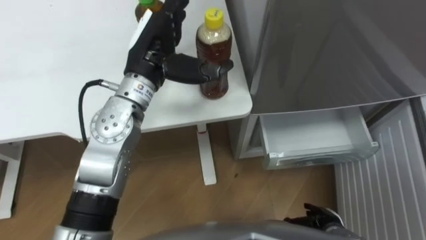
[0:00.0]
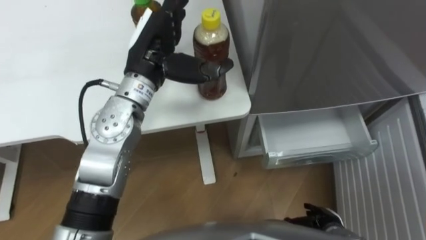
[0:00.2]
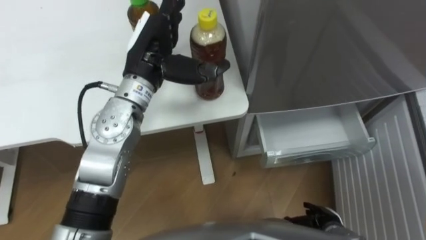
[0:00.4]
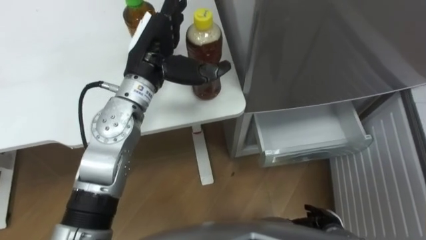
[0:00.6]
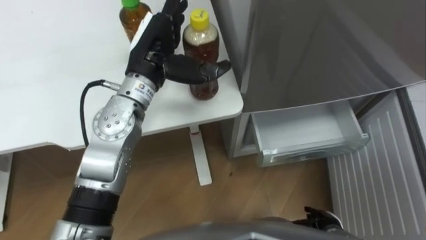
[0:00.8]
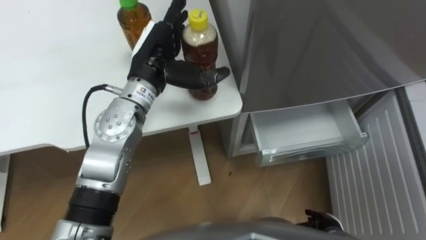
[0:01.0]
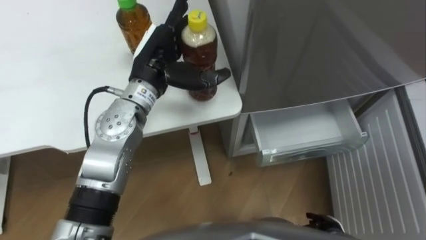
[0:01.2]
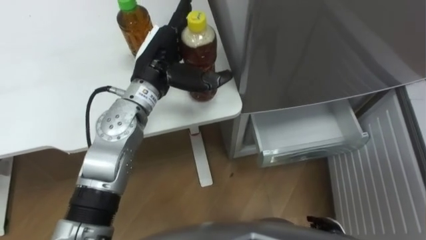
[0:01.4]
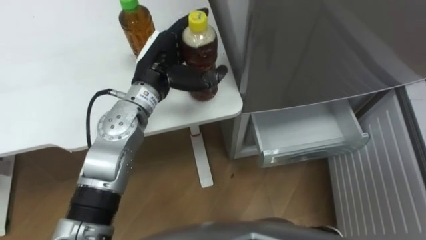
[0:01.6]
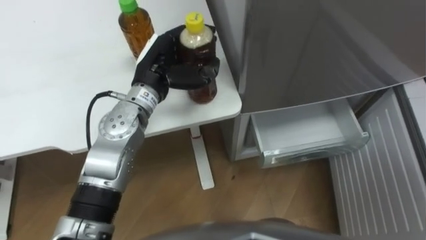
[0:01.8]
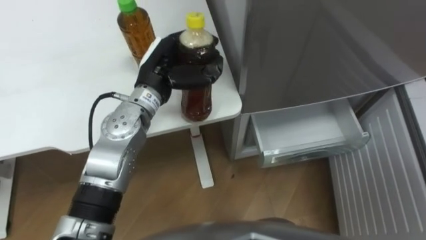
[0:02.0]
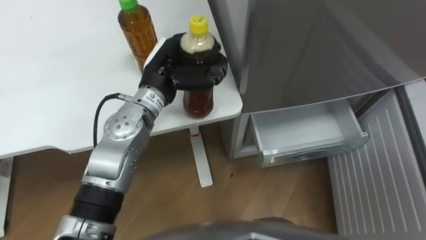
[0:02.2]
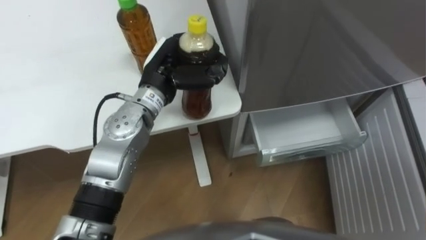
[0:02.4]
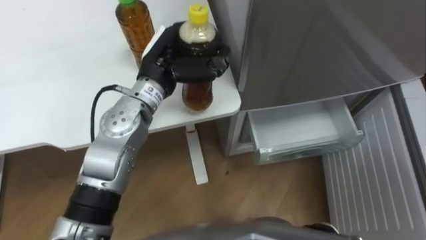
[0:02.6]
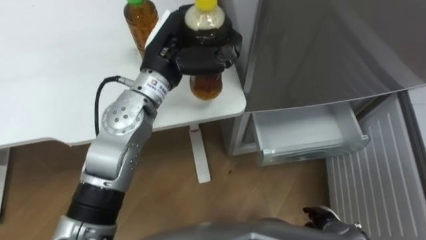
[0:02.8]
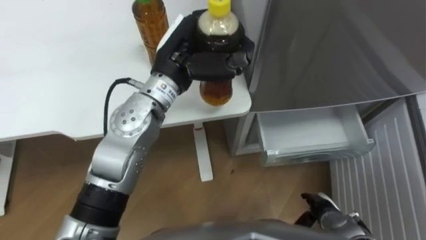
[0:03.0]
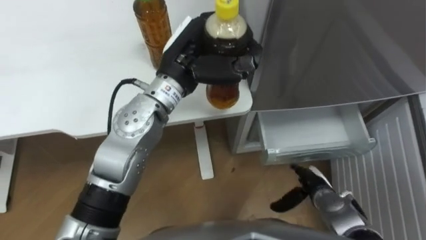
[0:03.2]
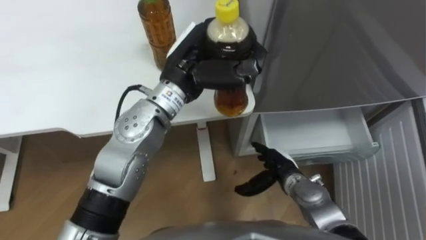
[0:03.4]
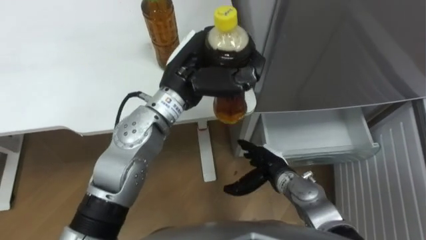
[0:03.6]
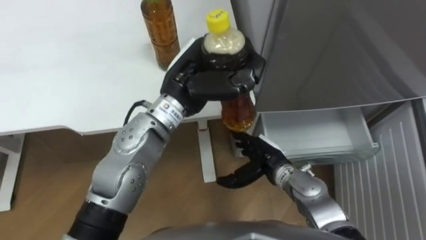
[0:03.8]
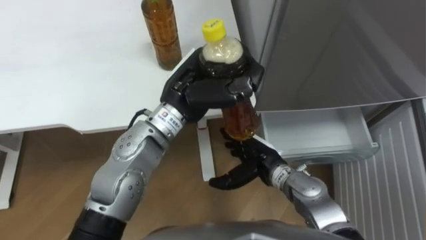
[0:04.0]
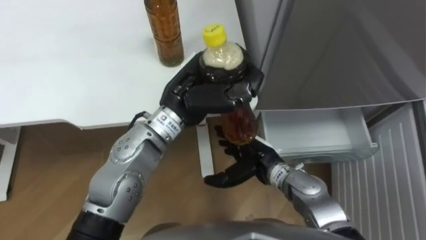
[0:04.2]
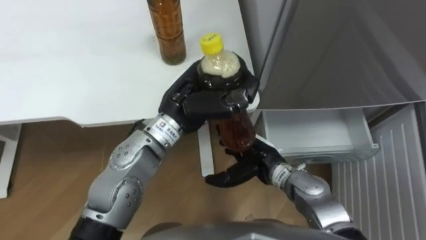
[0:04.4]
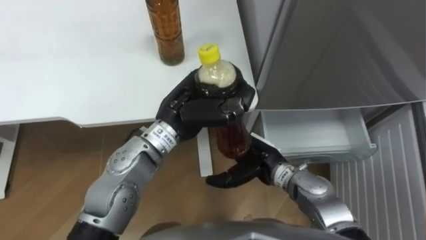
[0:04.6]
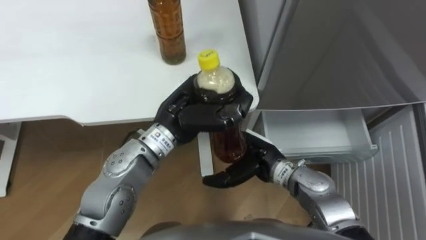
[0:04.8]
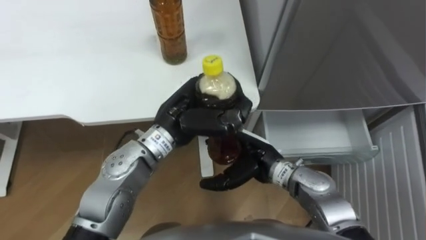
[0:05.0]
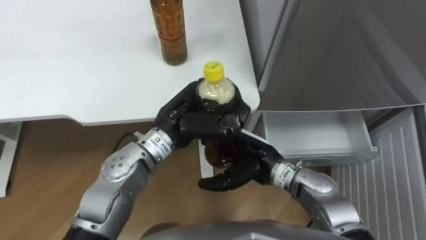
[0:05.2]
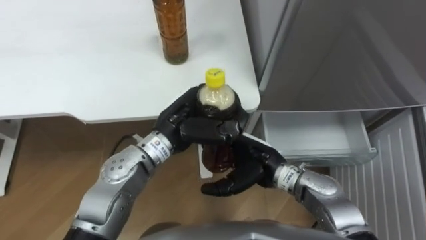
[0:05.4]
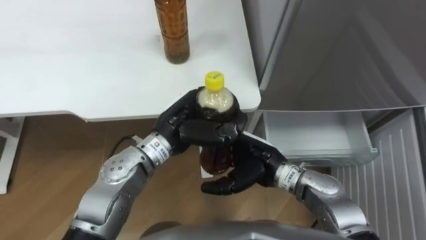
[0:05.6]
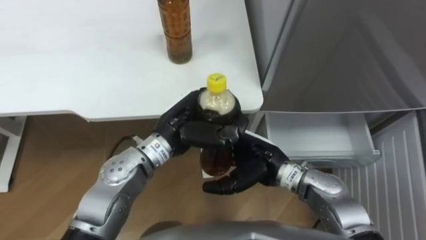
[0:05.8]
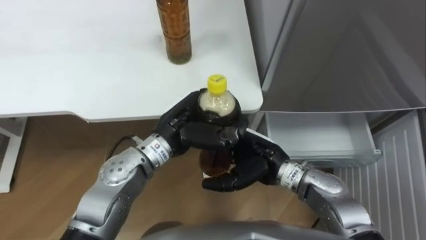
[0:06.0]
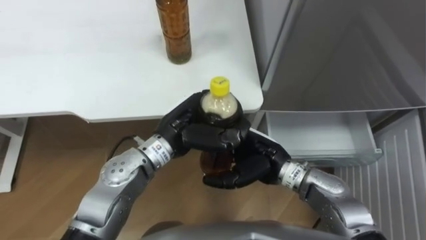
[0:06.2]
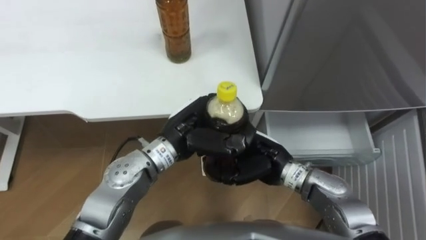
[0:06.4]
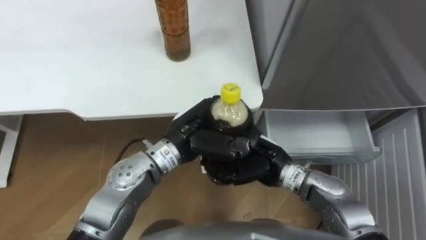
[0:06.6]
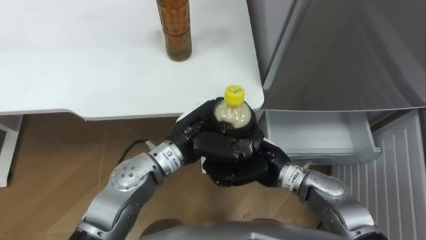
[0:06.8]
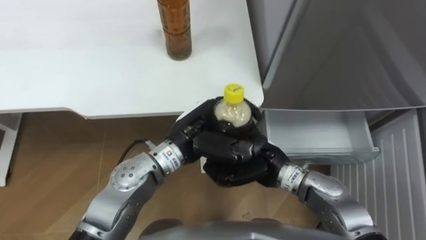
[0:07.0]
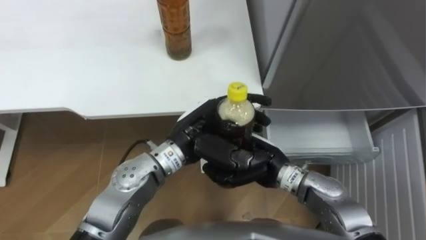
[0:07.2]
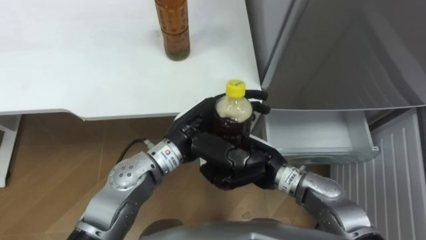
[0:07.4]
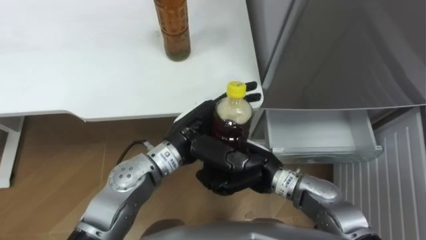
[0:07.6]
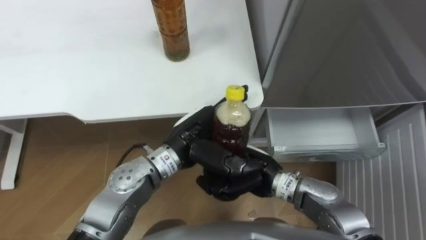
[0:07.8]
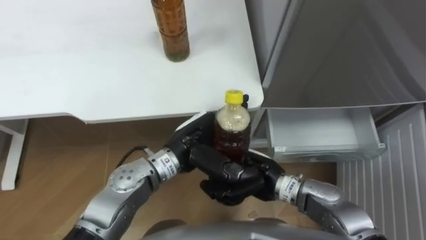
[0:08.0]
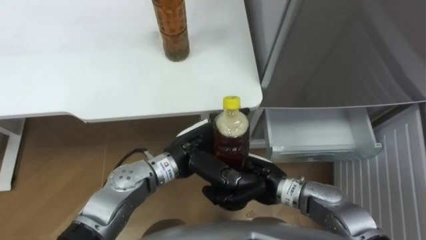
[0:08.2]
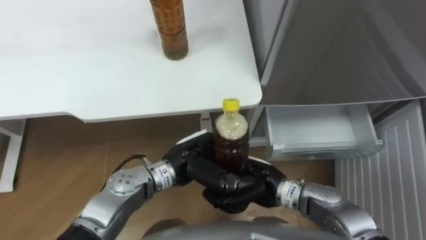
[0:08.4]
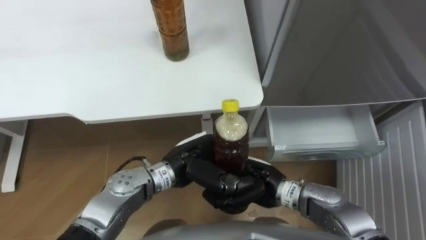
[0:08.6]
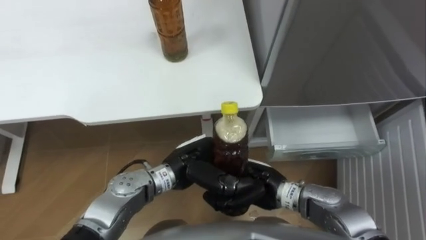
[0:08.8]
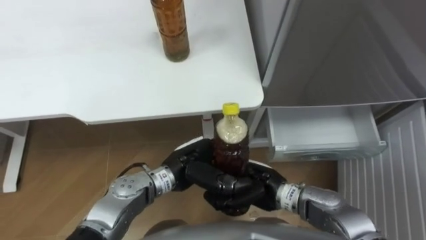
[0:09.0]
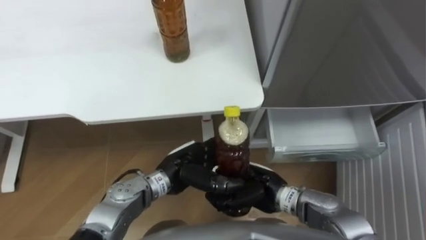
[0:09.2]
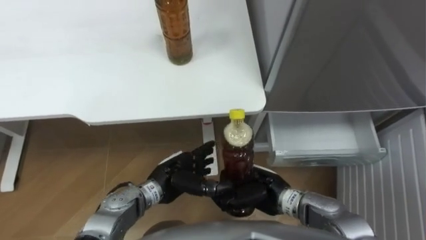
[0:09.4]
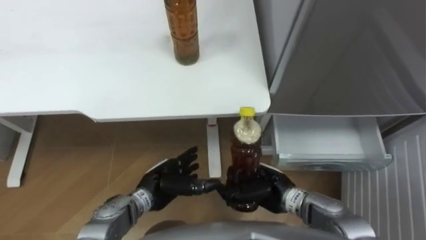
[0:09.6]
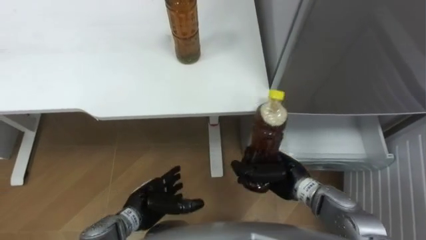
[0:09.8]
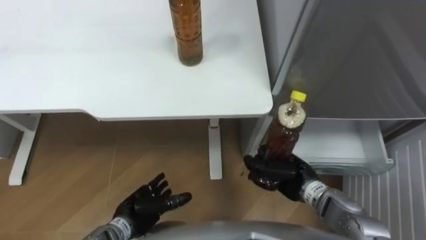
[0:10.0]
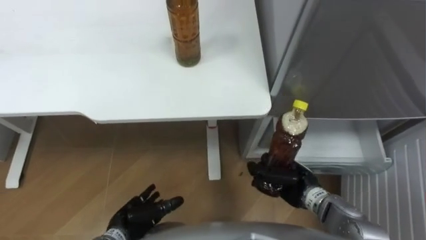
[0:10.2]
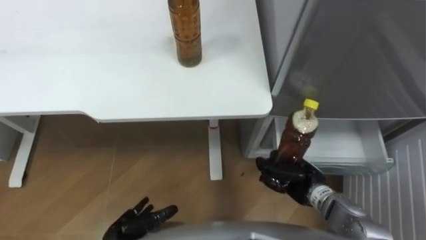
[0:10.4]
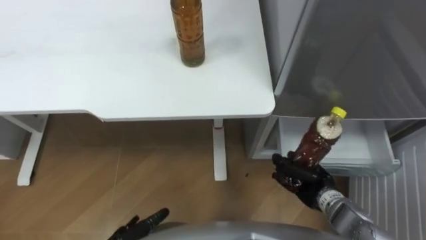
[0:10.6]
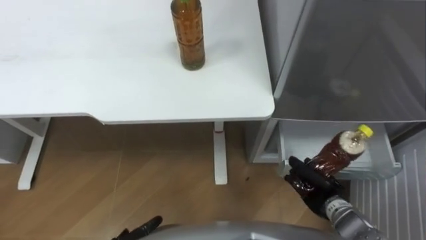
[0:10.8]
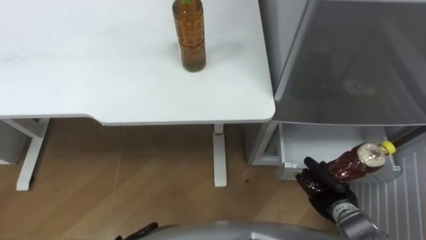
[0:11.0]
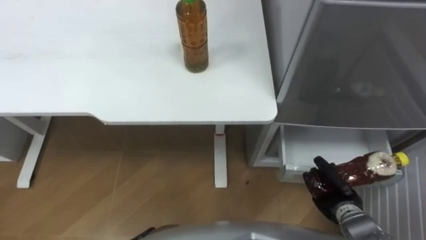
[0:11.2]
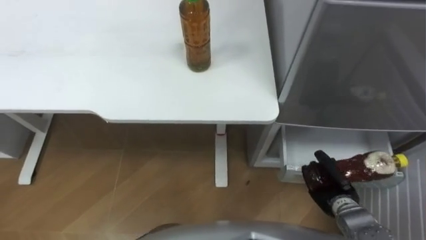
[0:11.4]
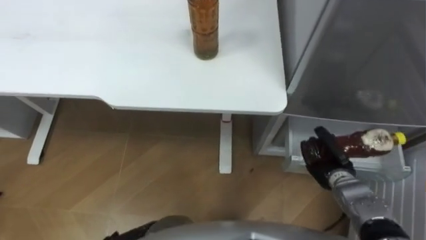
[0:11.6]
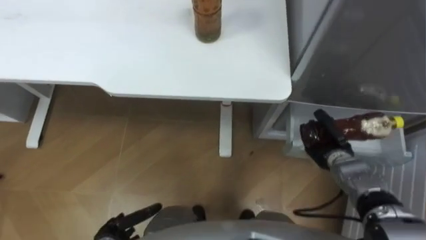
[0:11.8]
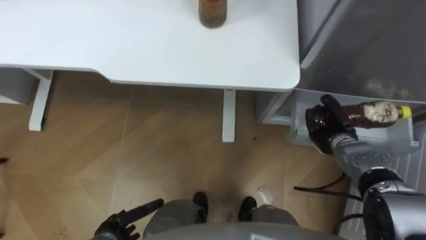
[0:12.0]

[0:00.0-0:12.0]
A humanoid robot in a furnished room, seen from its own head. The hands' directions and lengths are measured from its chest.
Task of the whole recording: Place the drink on the table on the bottom shelf of the refrigerator, then close the drawer and the refrigerator door.
0:01.6 to 0:03.0: The left hand shifts by approximately 5 cm, and closes its fingers.
0:03.0 to 0:04.4: The right hand is displaced to the left, upward and forward by roughly 20 cm. The left hand moves backward, approximately 5 cm.
0:04.4 to 0:06.0: The left hand shifts about 5 cm downward.
0:06.0 to 0:07.6: The left hand opens its fingers, while the right hand closes its fingers.
0:07.6 to 0:09.0: The left hand travels downward by about 10 cm.
0:09.0 to 0:10.4: The right hand is displaced to the right and downward by about 10 cm; the left hand moves to the left, downward and backward, roughly 20 cm.
0:10.4 to 0:12.0: The right hand travels forward and to the right by some 15 cm.

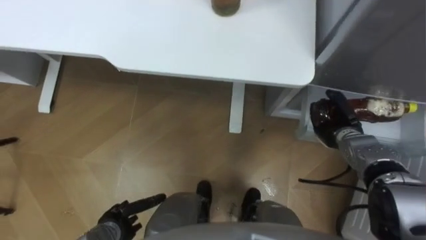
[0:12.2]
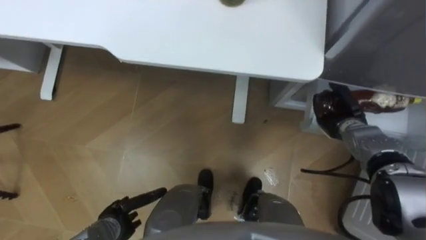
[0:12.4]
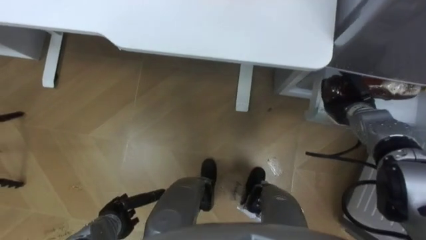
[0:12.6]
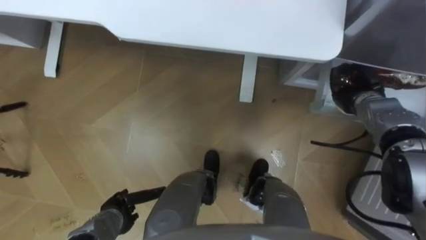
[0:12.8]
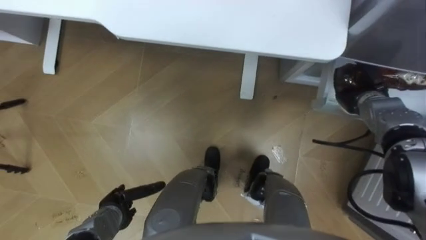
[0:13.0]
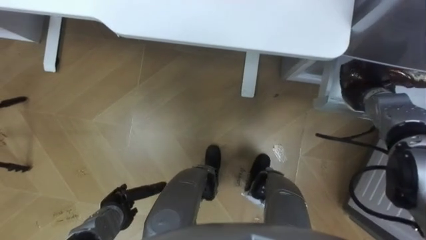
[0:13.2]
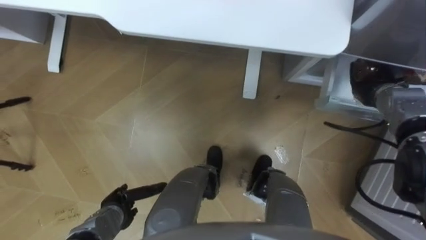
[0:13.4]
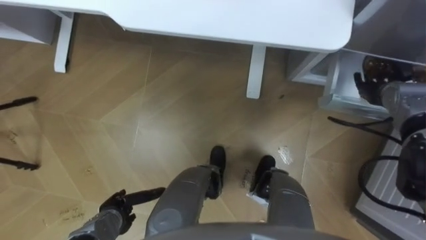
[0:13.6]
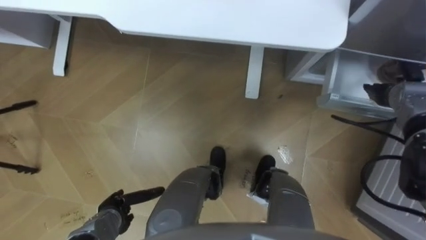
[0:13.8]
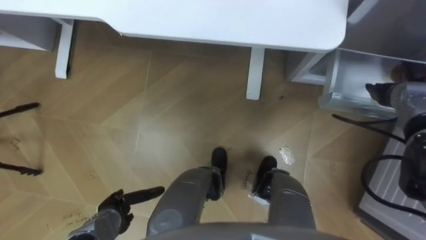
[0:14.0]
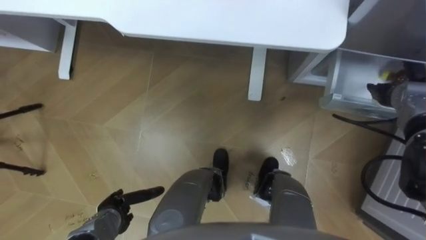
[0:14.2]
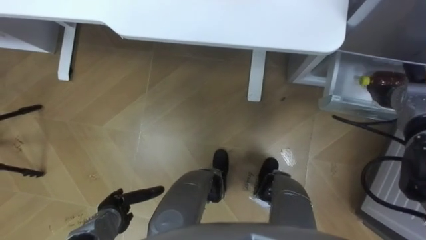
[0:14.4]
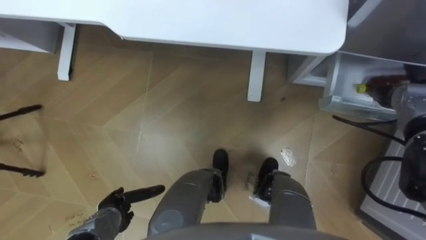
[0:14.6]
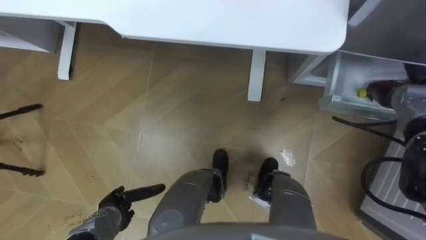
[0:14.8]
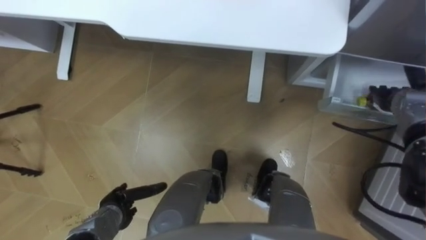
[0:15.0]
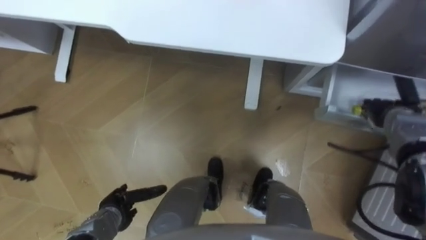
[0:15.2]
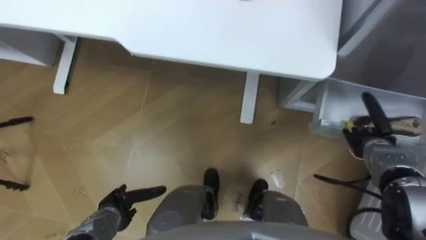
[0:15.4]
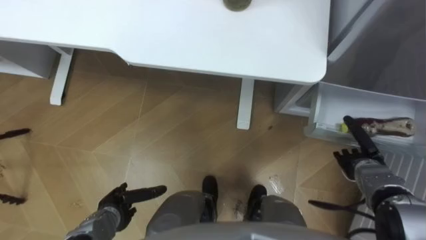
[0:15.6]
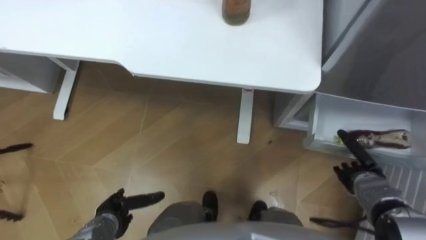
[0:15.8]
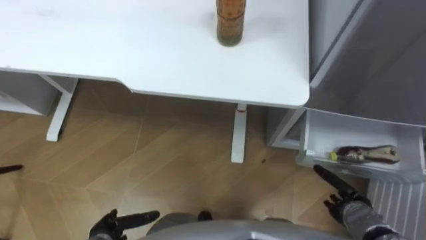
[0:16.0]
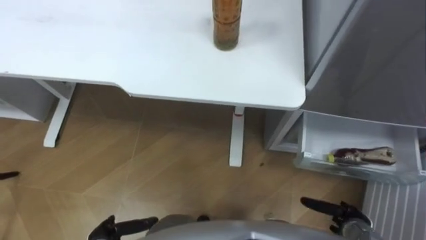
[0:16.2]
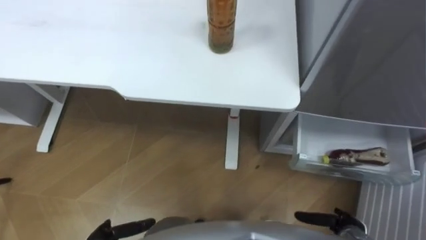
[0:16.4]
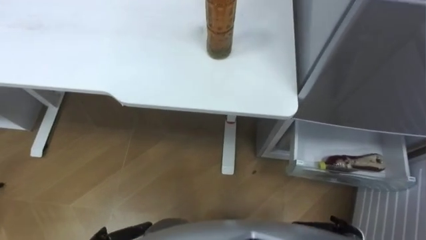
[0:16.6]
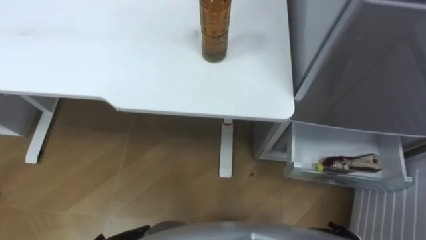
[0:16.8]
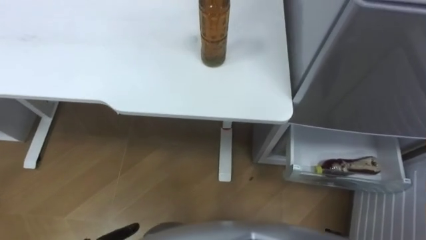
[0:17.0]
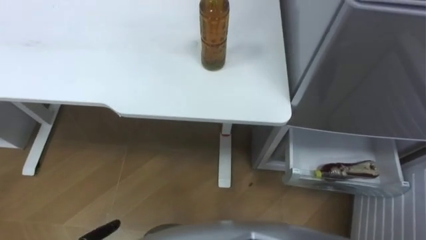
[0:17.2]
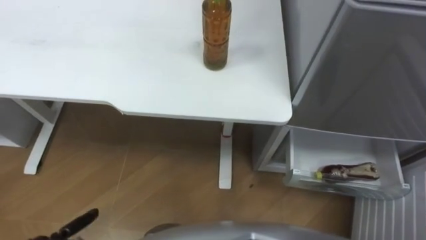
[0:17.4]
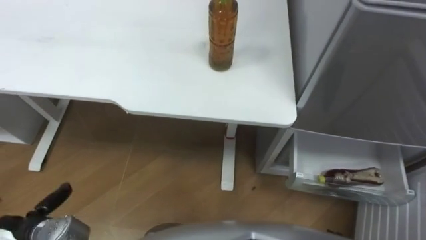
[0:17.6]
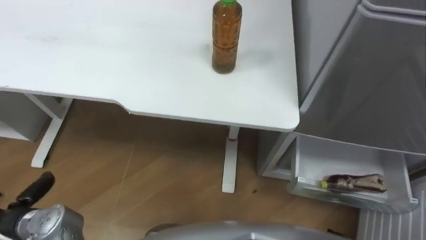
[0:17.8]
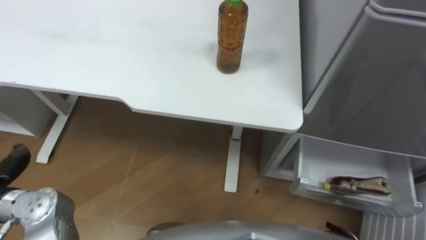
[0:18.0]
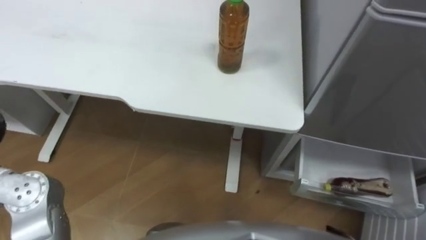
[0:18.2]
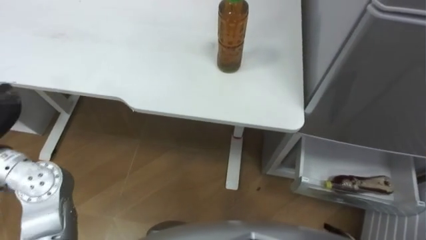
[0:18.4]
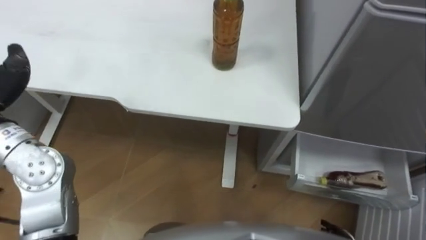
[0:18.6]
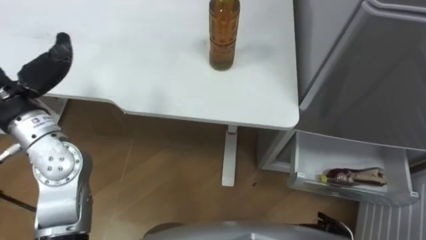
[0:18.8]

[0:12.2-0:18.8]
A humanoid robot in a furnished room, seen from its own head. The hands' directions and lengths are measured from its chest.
Task of the whole recording: Place the drink on the table on the bottom shelf of the refrigerator, then close the drawer and the refrigerator door.
0:12.2 to 0:13.8: The right hand is displaced to the right, upward and forward by some 15 cm, and opens its fingers.
0:13.8 to 0:15.4: The right hand is displaced downward and backward by about 10 cm.
